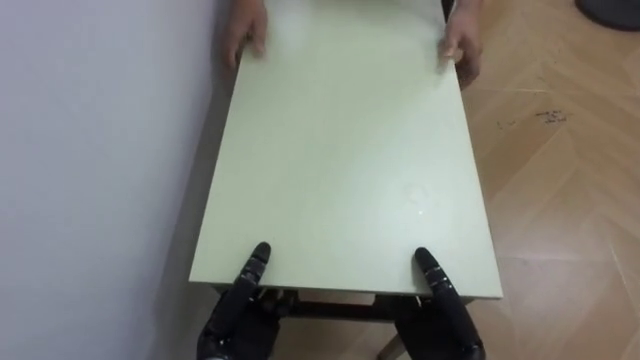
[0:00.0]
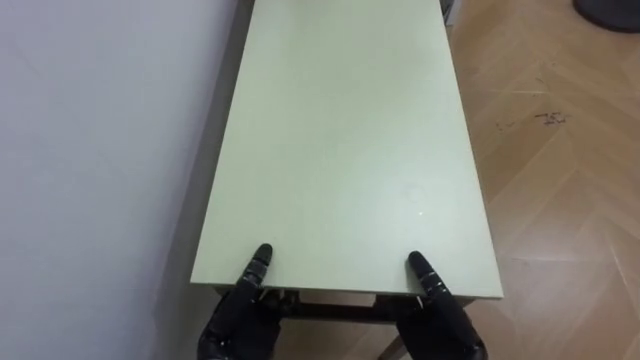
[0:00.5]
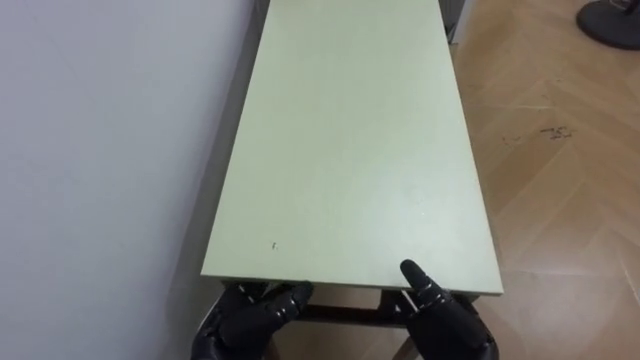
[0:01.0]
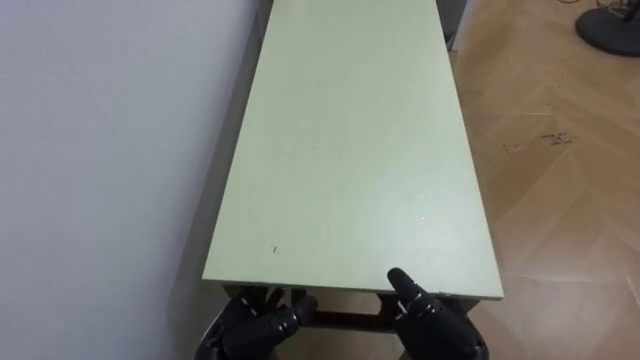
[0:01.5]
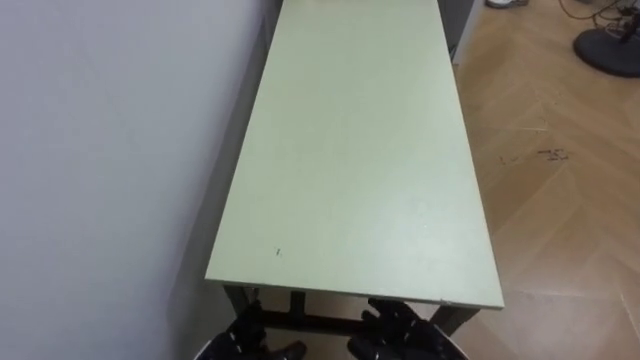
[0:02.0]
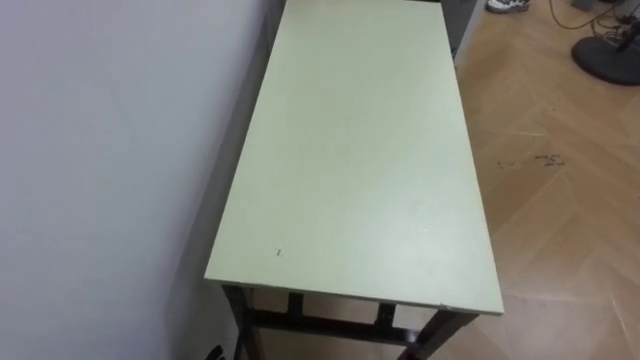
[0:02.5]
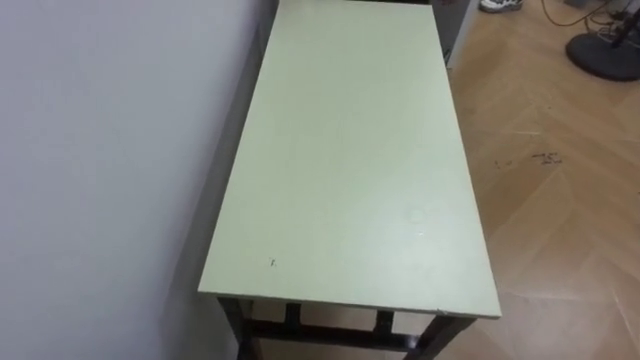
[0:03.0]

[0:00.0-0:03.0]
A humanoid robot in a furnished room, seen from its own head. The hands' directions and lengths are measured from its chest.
Task of the whole recording: Move the table to the back left with someone.
0:00.0 to 0:01.5: The right hand opens its fingers; the left hand opens its fingers.

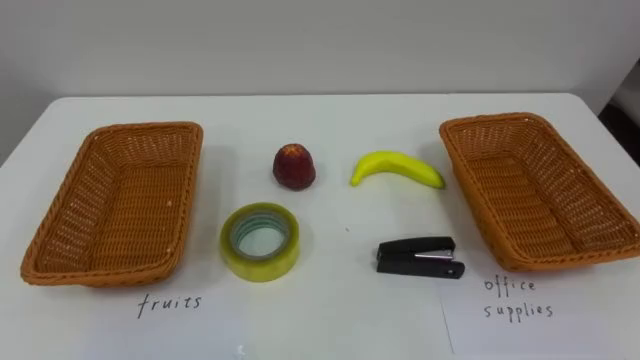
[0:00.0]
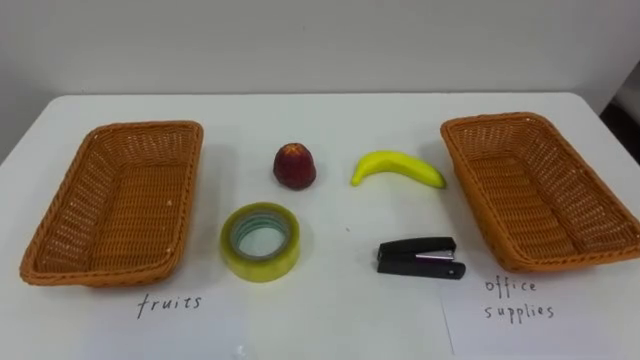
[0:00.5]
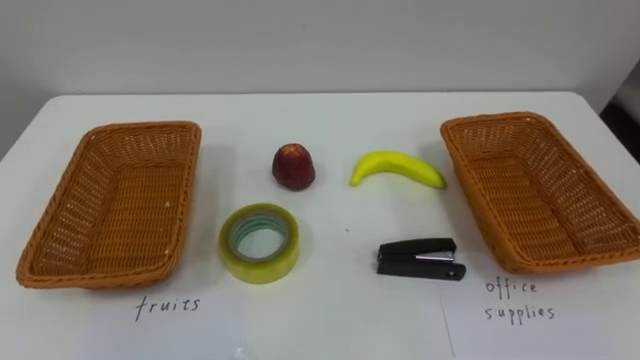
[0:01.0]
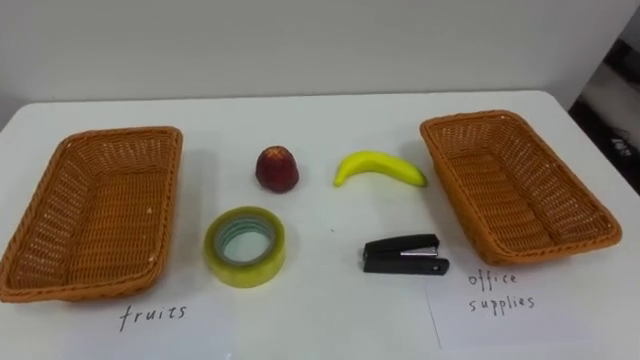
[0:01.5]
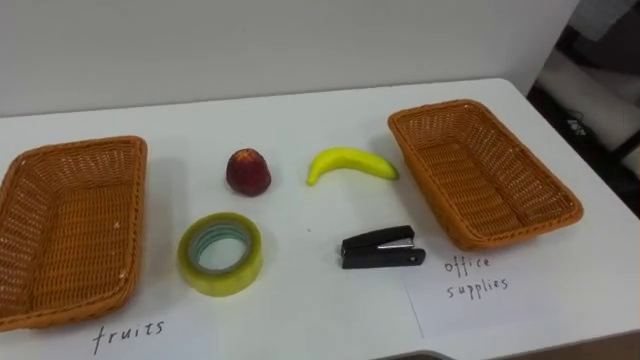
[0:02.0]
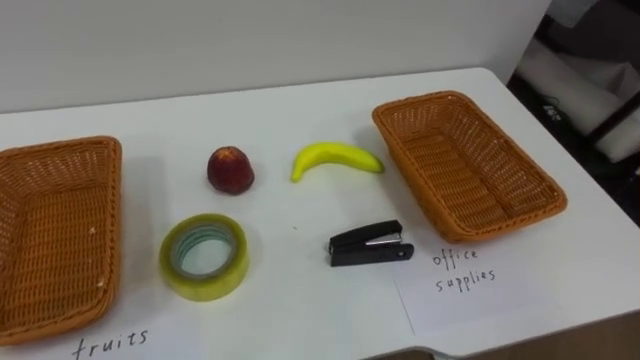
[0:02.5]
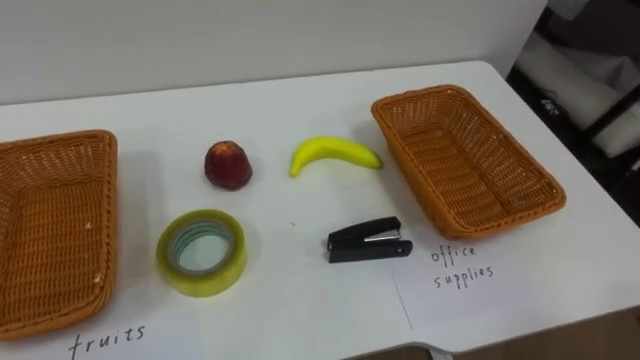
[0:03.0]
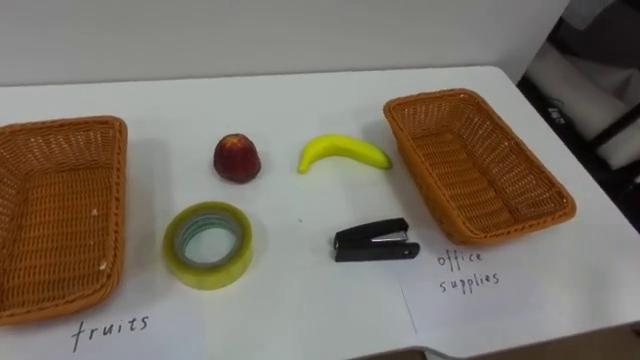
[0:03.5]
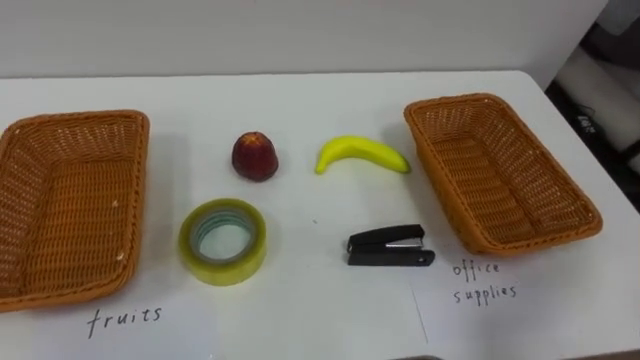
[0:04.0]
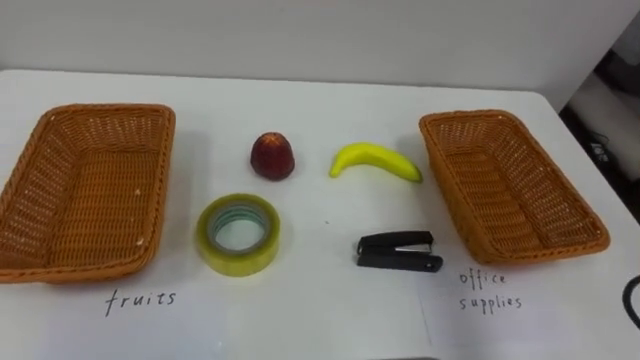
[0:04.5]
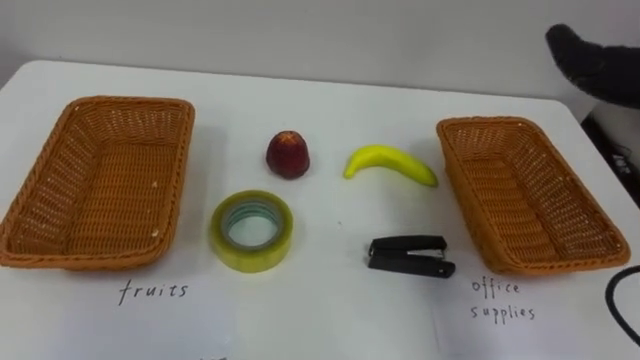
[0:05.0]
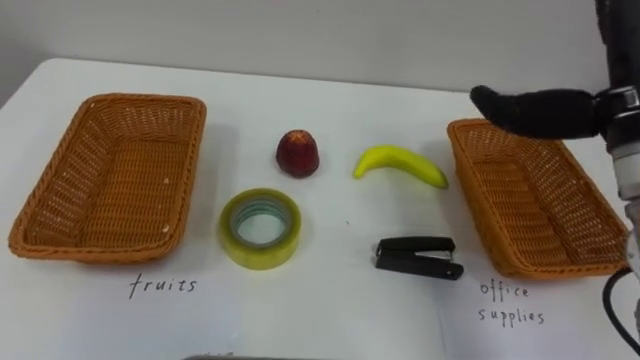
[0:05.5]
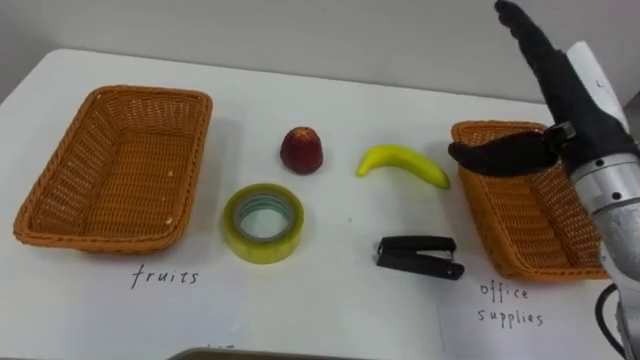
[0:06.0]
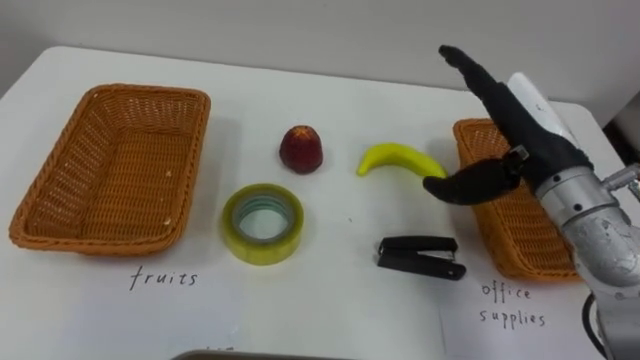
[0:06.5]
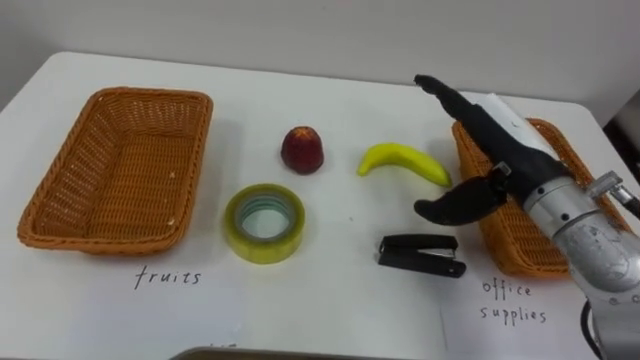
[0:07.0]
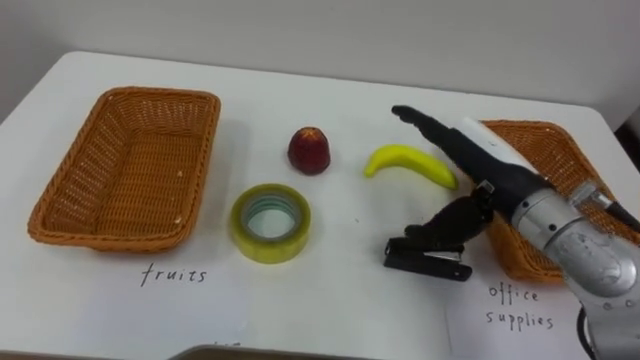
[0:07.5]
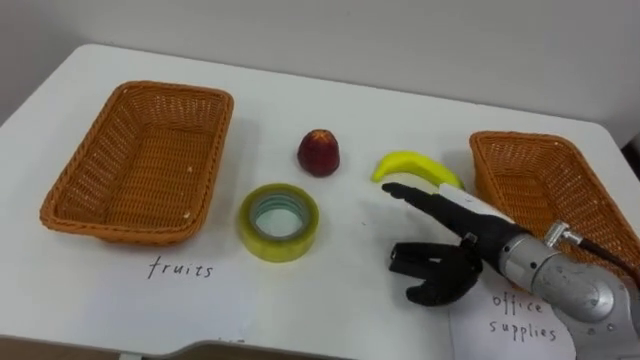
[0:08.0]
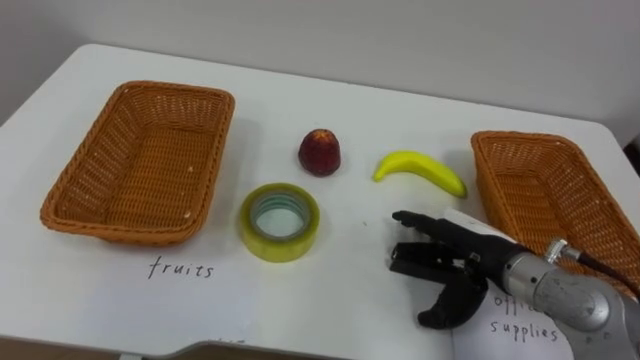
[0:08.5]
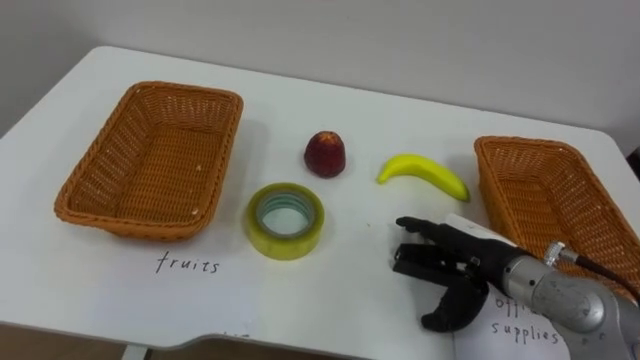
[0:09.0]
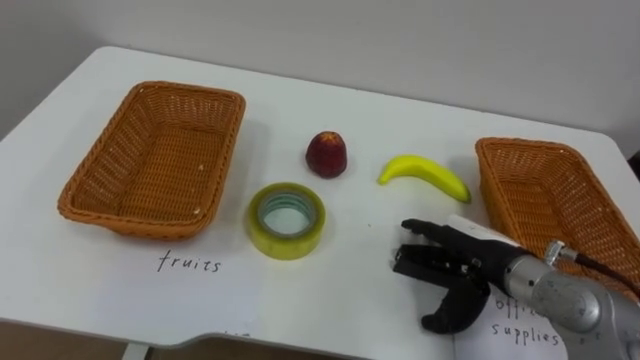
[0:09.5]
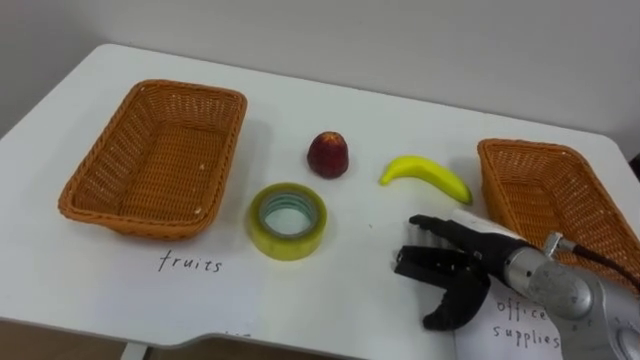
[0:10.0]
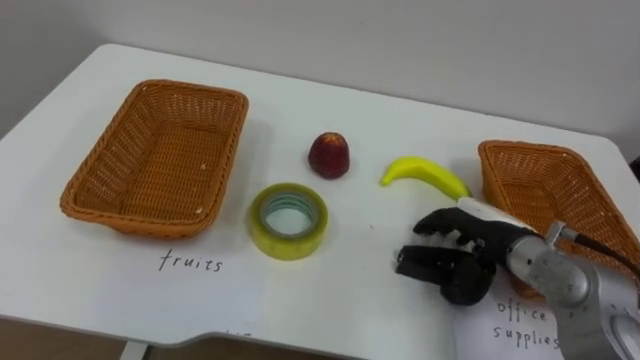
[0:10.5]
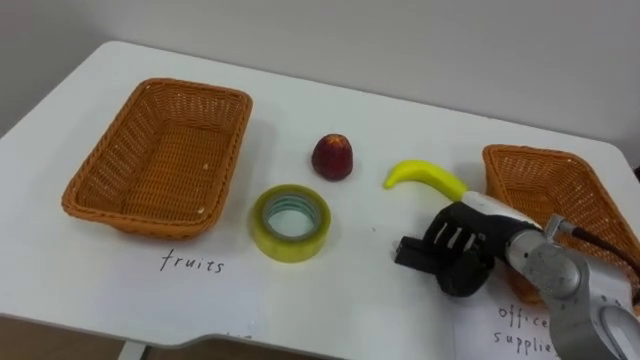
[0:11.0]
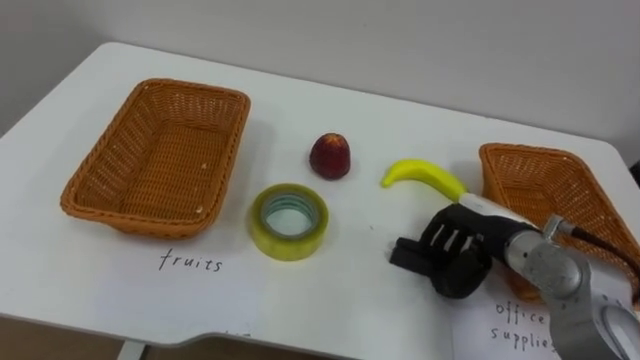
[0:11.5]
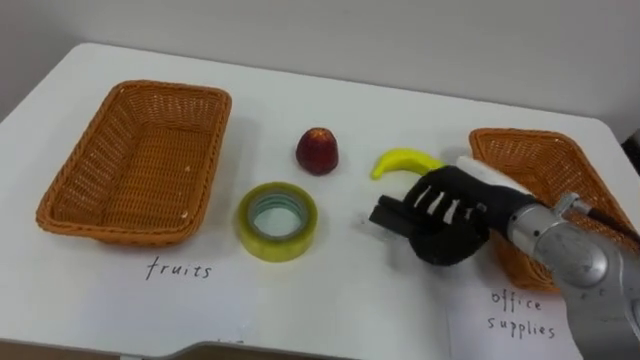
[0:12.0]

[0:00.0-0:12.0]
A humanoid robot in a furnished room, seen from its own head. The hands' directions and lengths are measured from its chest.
Task of the whole recording: Separate the items on the table and place them into the two baskets.
0:06.0 to 0:08.0: The right hand is displaced downward and to the left by some 15 cm.
0:08.0 to 0:10.0: The right hand travels downward by about 5 cm.
0:10.0 to 0:12.0: The right hand is displaced upward by approximately 5 cm, and closes its fingers.

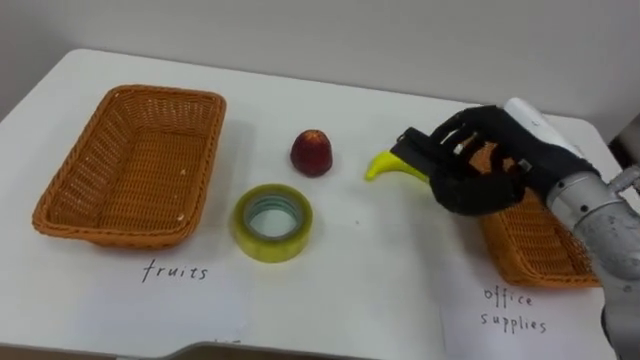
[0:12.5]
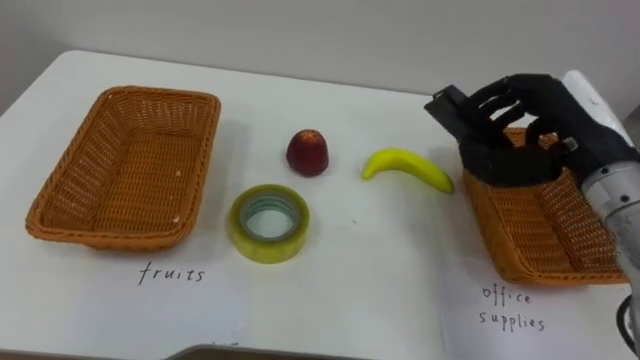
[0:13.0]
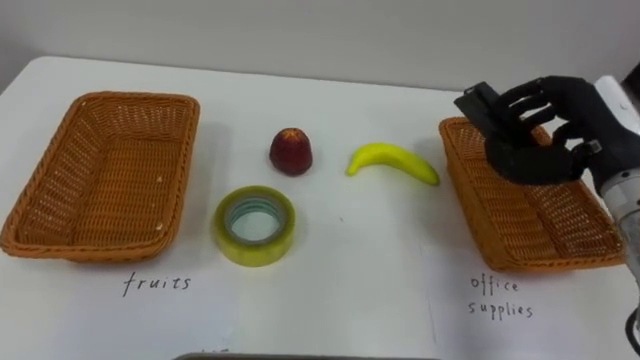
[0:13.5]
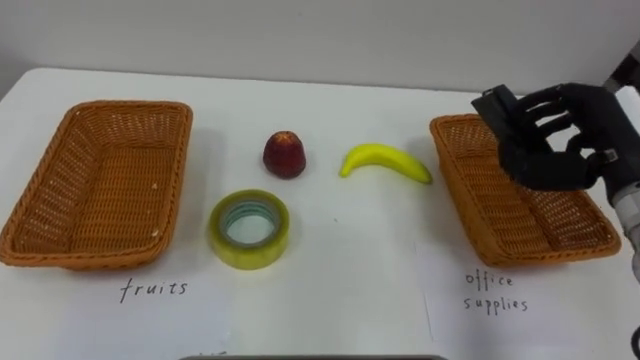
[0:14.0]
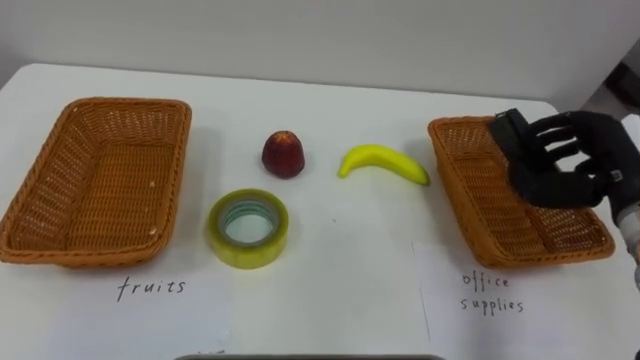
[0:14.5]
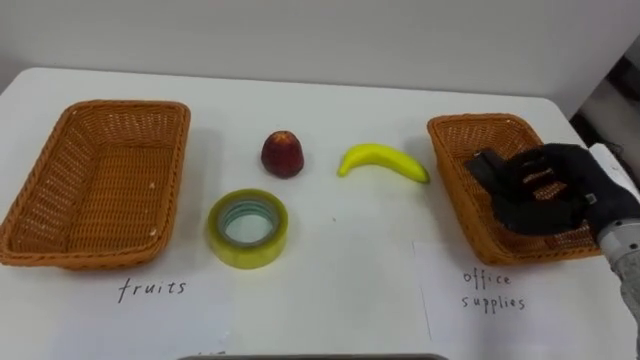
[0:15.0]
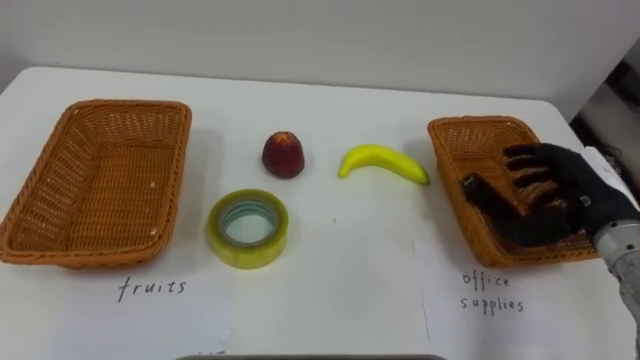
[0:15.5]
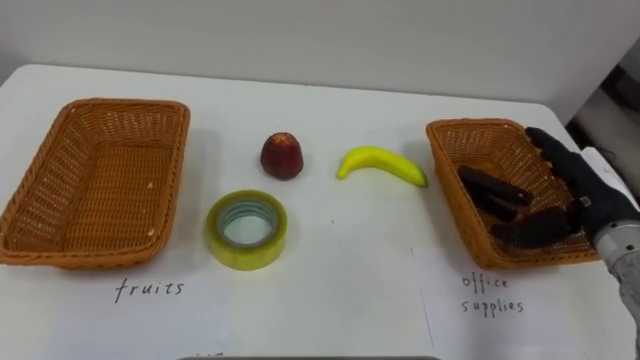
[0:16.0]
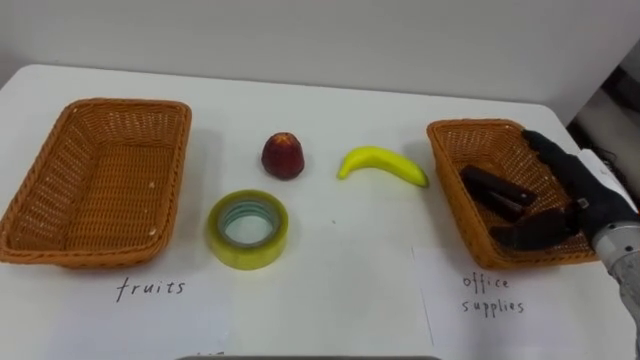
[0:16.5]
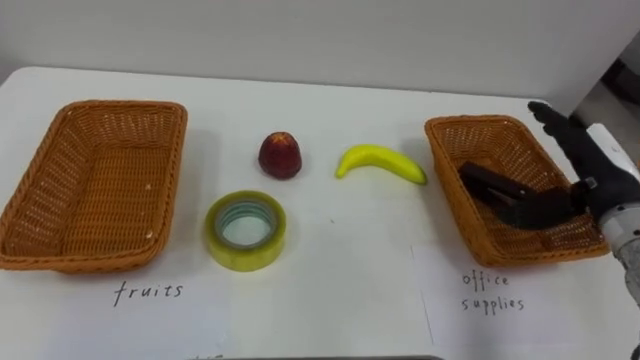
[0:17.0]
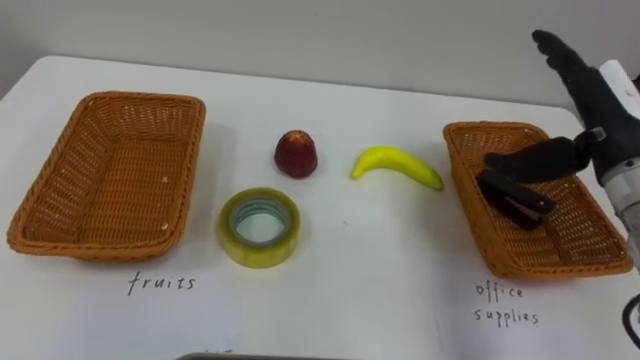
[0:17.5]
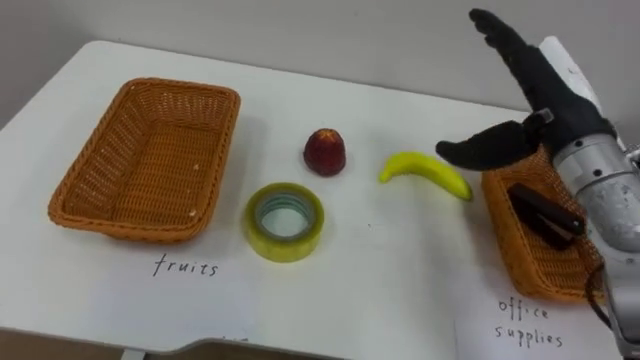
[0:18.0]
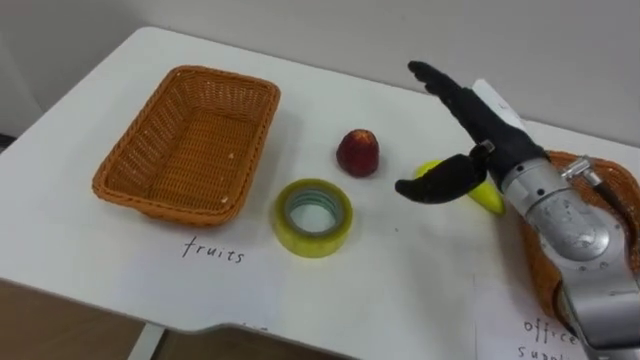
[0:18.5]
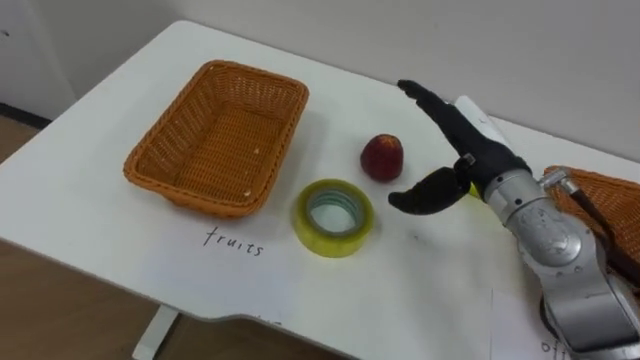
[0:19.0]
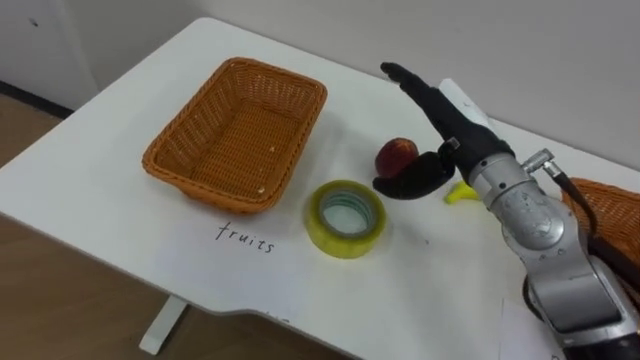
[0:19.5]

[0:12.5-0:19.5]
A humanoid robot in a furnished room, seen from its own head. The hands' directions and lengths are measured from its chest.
Task of the whole recording: Separate the items on the table and place them into the two baskets.
0:12.5 to 0:14.5: The right hand shifts approximately 10 cm to the right.
0:14.5 to 0:16.0: The right hand opens.
0:16.0 to 0:17.5: The right hand moves upward, about 10 cm.
0:17.5 to 0:19.5: The right hand travels to the left by approximately 15 cm.
